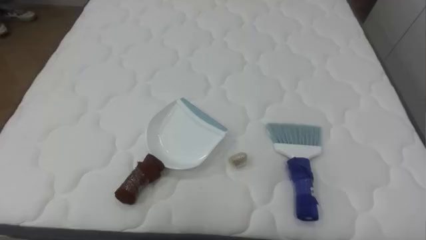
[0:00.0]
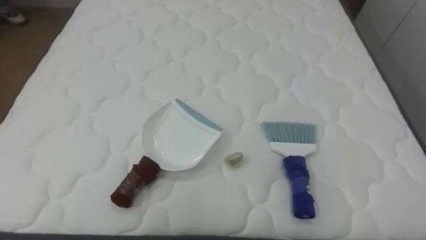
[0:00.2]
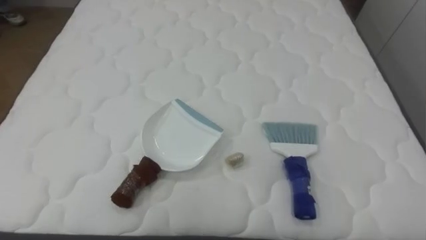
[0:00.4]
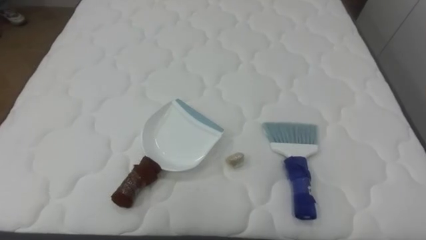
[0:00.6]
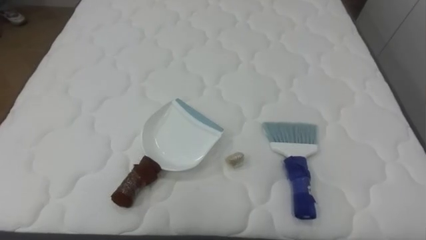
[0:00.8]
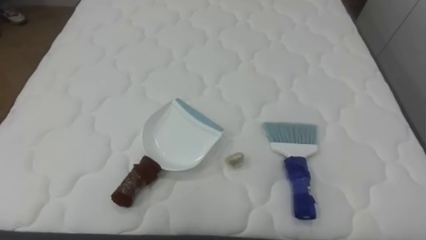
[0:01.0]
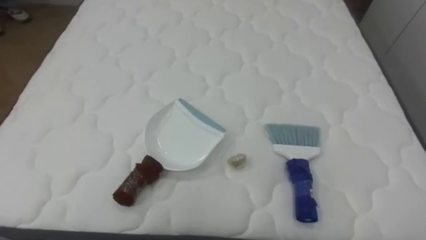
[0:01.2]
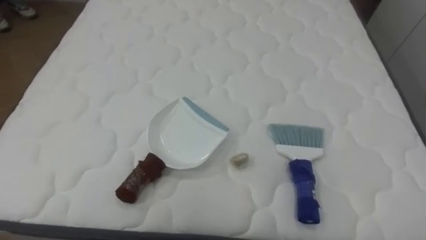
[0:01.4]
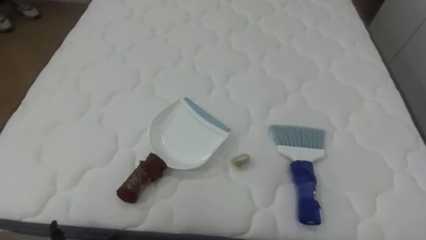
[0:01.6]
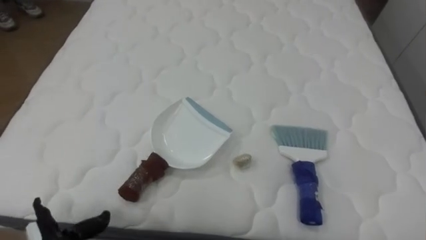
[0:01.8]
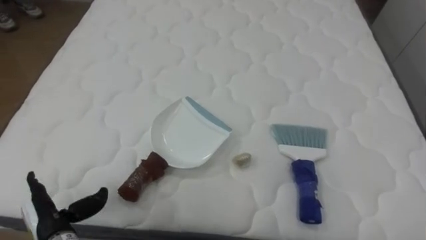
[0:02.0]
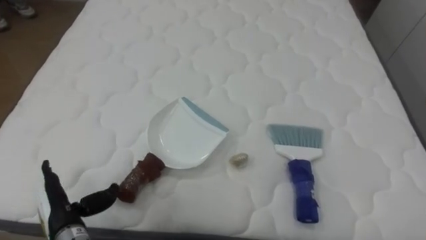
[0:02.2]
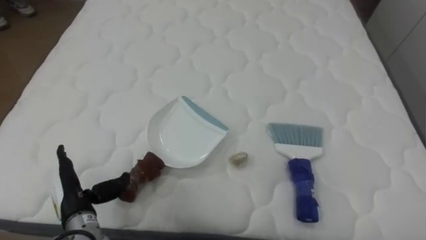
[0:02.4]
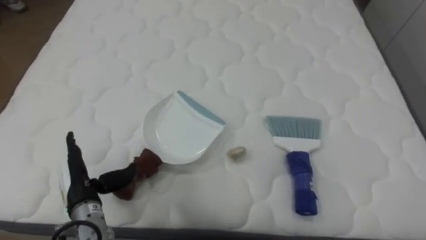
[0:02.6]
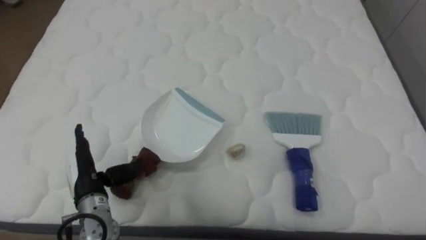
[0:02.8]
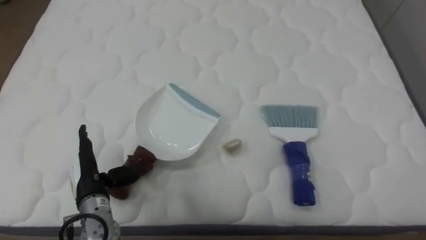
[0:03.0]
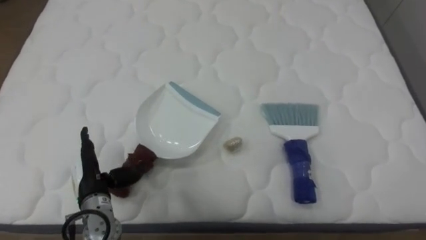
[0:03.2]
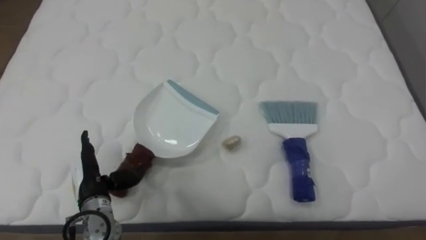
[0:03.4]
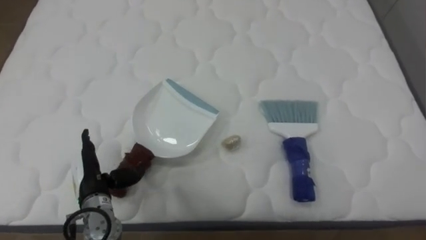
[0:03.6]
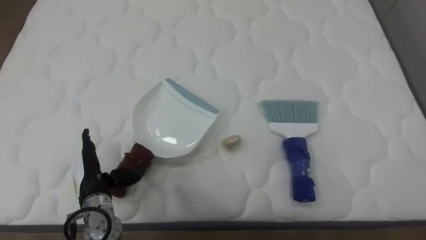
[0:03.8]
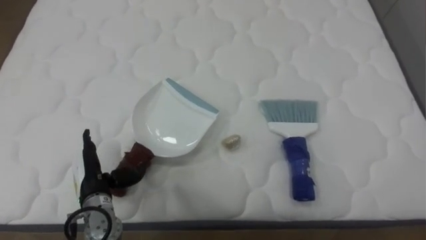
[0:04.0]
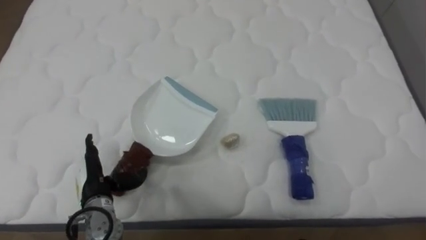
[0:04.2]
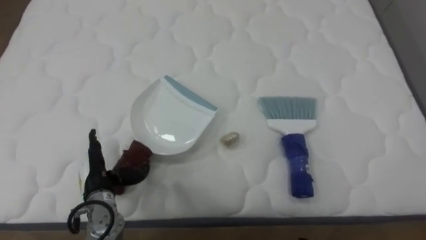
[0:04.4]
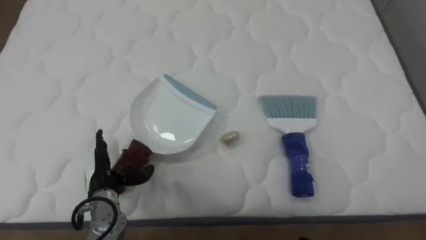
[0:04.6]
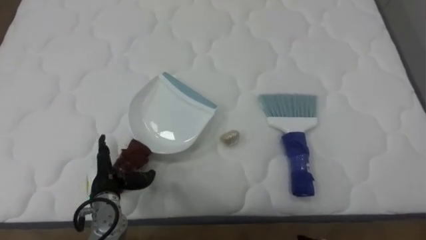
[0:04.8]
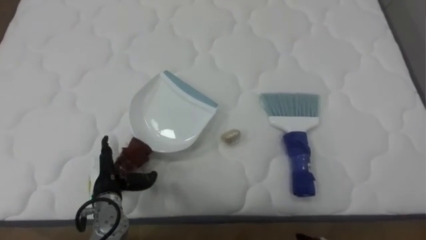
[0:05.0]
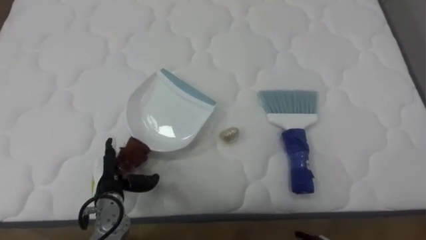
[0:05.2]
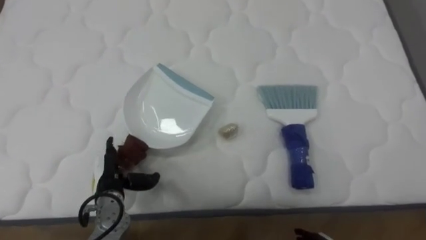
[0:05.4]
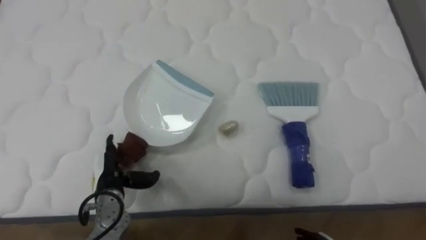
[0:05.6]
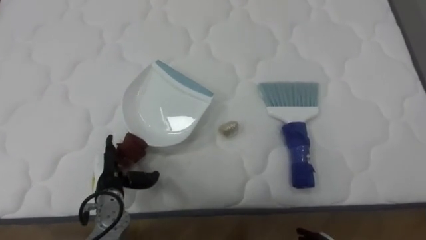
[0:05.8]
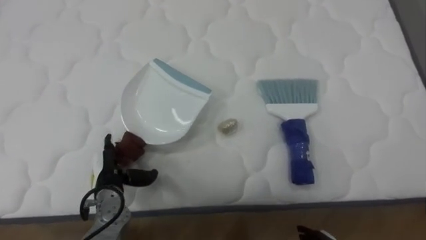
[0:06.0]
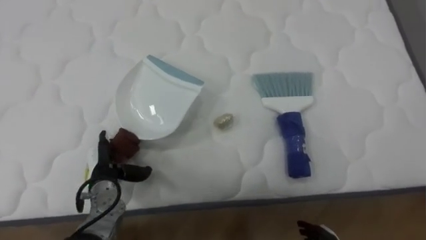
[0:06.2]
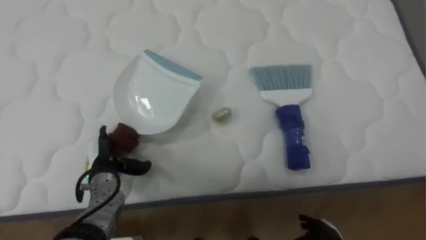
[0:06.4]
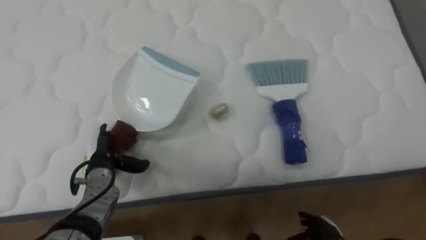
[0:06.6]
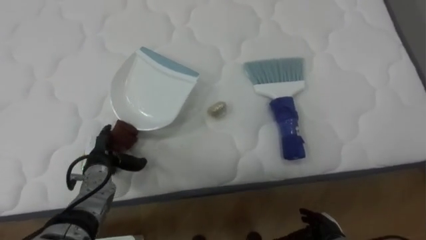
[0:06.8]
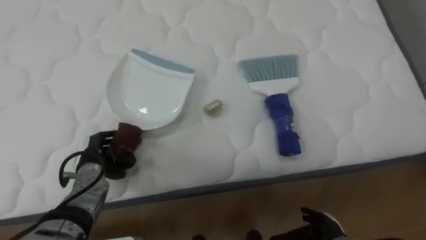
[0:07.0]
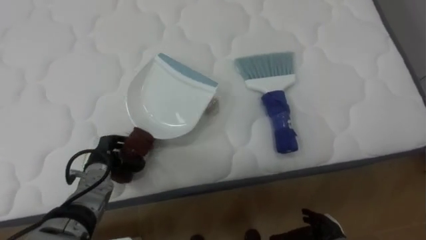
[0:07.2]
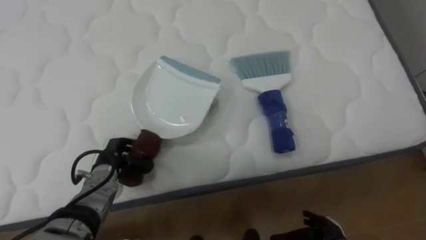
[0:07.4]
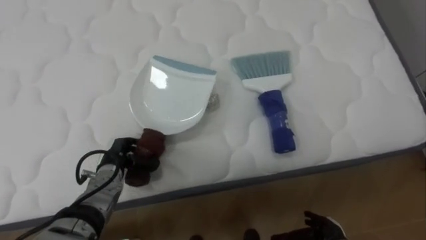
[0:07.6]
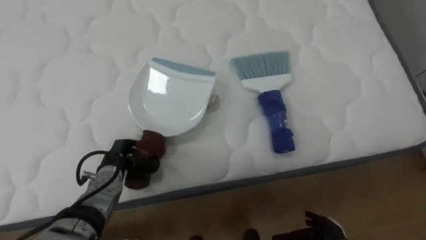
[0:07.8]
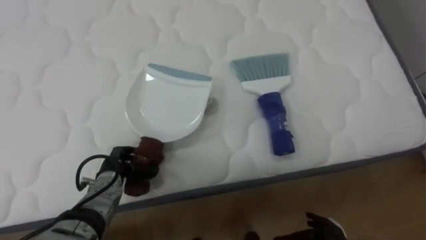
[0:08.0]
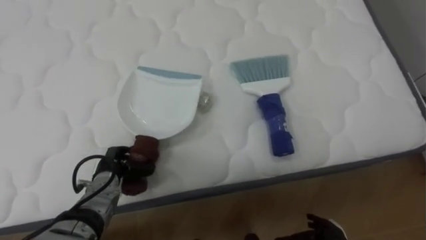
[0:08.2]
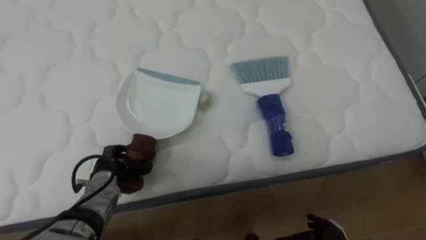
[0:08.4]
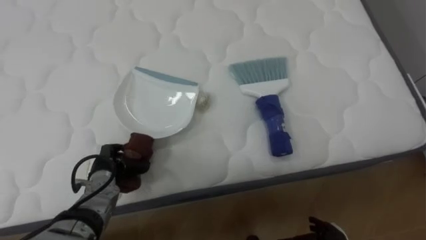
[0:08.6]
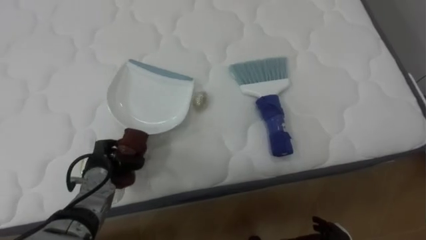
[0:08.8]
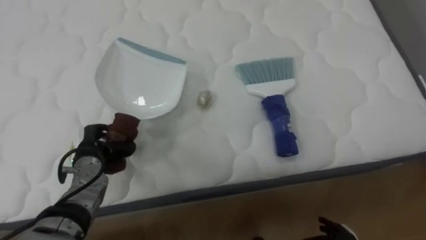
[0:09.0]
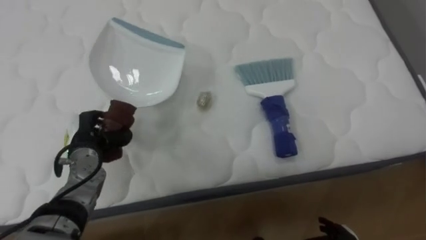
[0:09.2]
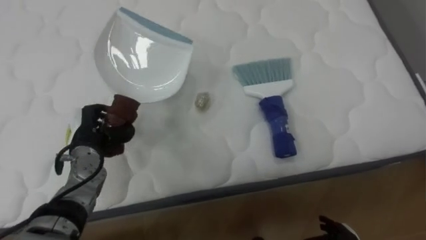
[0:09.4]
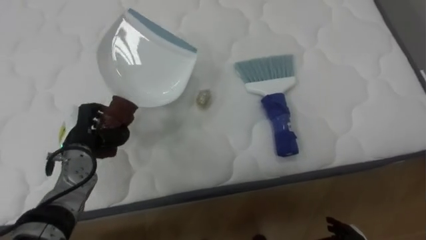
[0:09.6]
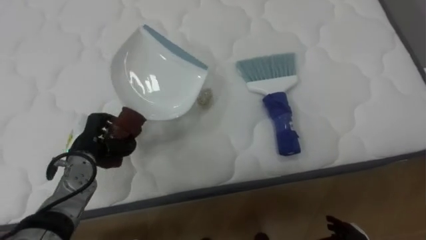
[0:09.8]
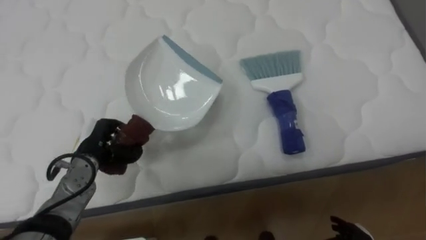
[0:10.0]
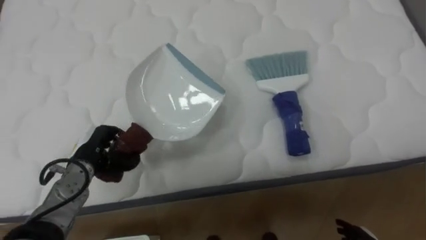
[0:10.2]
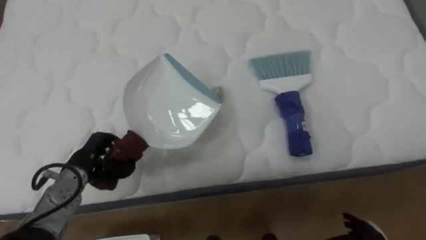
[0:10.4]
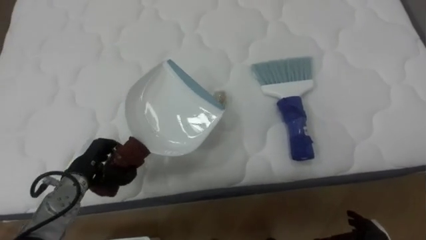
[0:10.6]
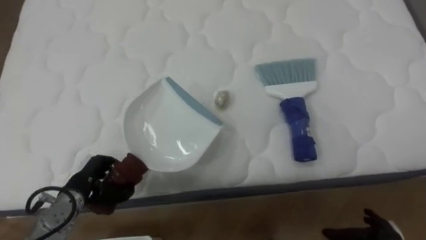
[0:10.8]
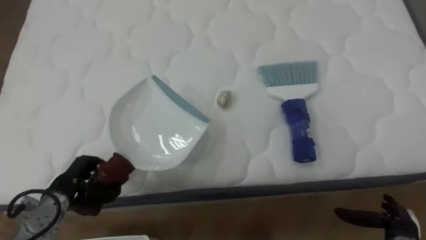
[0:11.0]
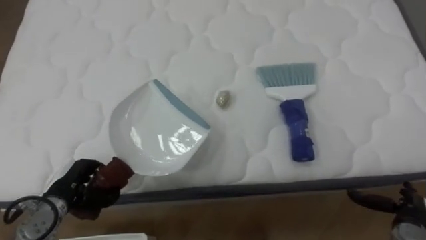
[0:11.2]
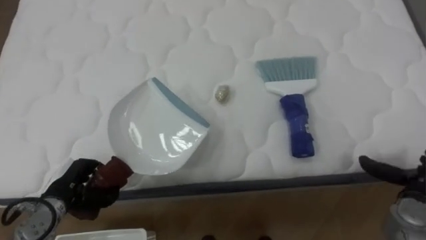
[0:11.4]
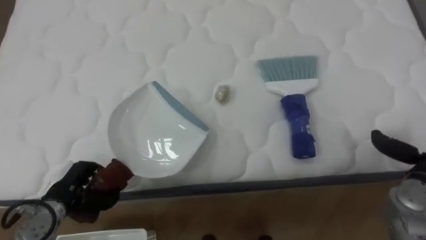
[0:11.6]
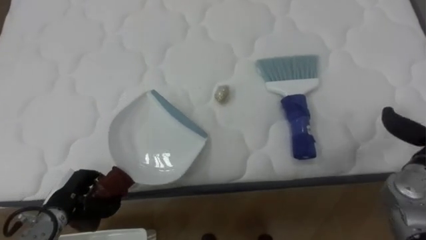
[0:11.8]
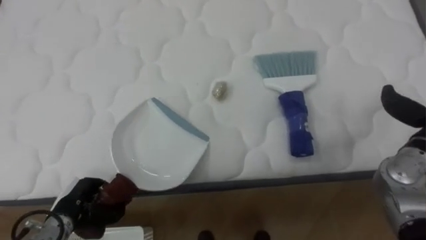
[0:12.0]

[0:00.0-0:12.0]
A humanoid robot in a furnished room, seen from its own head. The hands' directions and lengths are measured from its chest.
Task of the whole recording: Pick up the brush on your right and the dustpan on your left. Use the brush to sweep the crumpled paper on the bed into the dustpan, then turn left and empty it into the basket.
0:06.0 to 0:07.6: The left hand closes.
0:07.6 to 0:09.0: The left hand shifts by about 5 cm.
0:10.4 to 0:12.0: The left hand is displaced backward by roughly 10 cm.

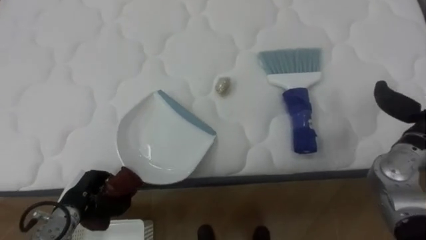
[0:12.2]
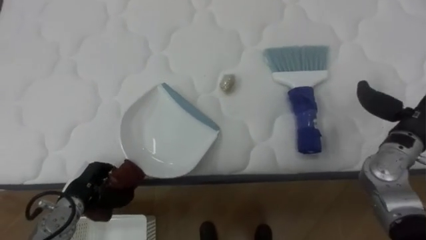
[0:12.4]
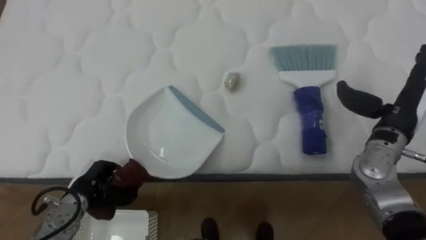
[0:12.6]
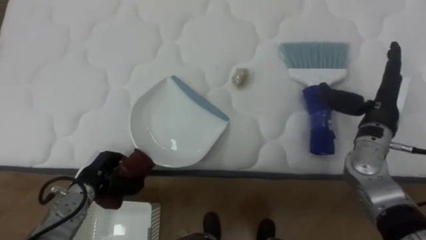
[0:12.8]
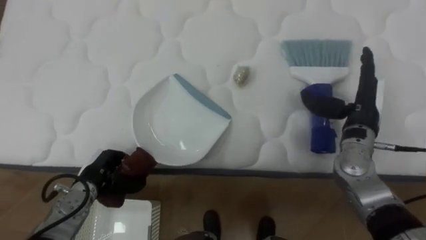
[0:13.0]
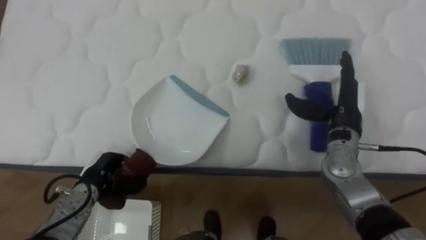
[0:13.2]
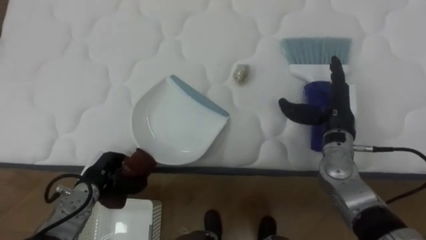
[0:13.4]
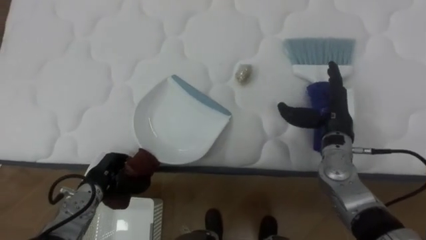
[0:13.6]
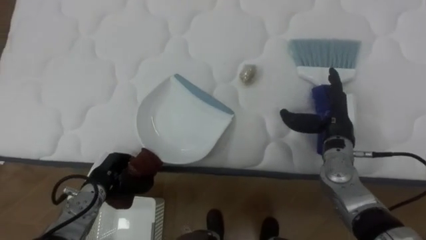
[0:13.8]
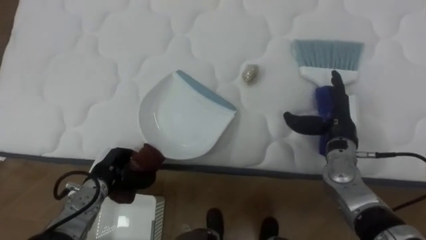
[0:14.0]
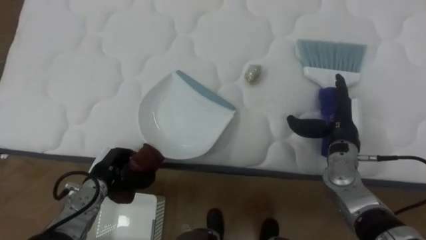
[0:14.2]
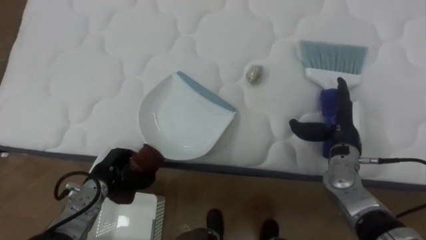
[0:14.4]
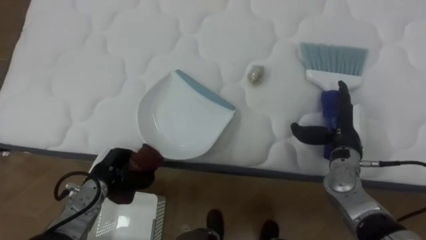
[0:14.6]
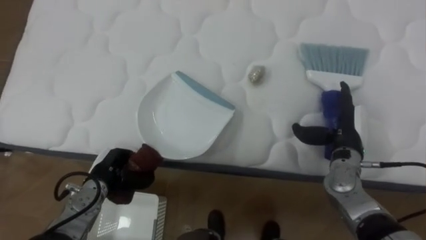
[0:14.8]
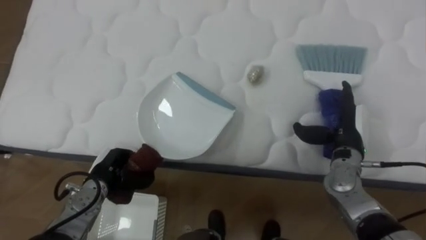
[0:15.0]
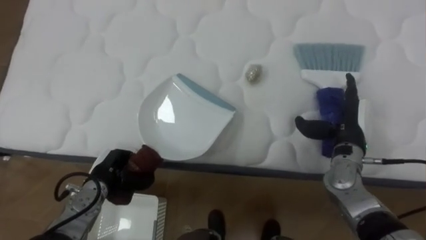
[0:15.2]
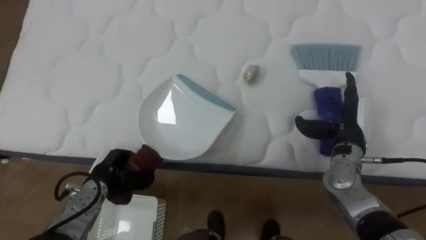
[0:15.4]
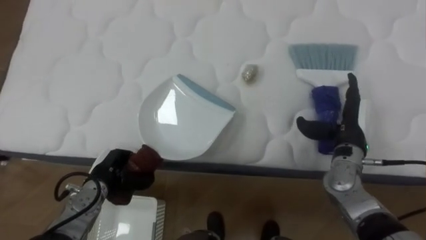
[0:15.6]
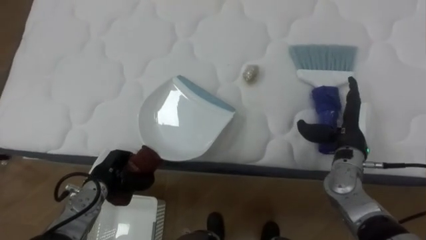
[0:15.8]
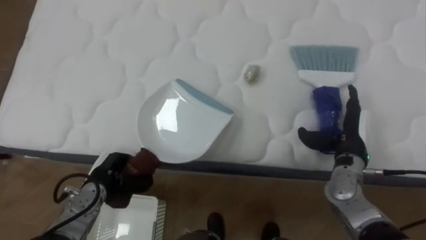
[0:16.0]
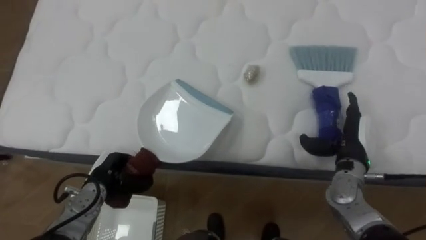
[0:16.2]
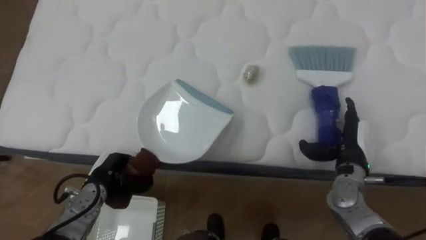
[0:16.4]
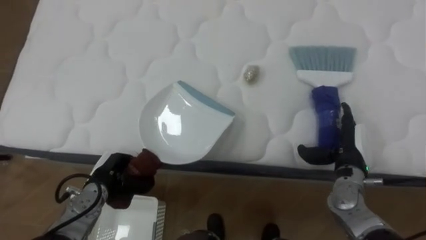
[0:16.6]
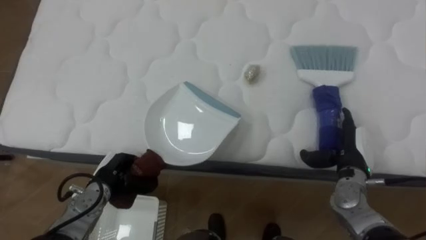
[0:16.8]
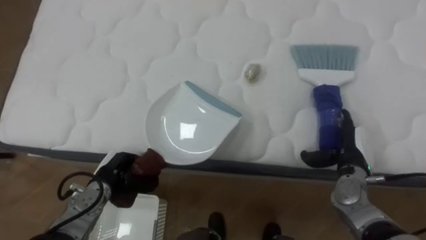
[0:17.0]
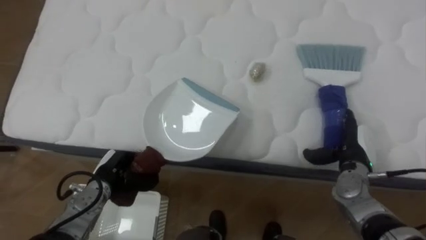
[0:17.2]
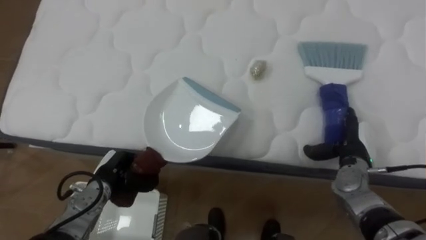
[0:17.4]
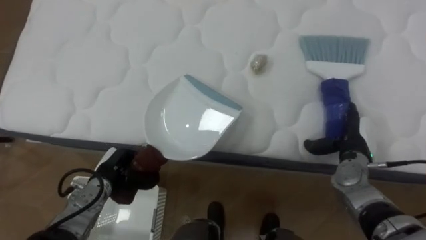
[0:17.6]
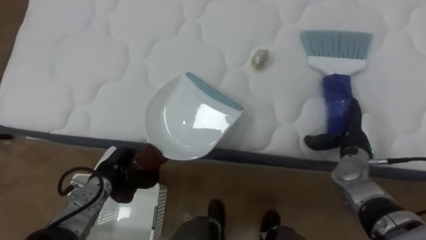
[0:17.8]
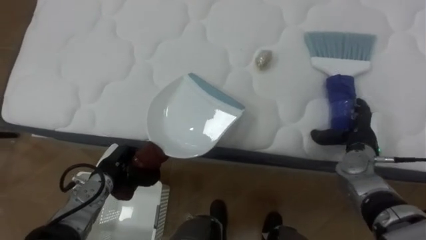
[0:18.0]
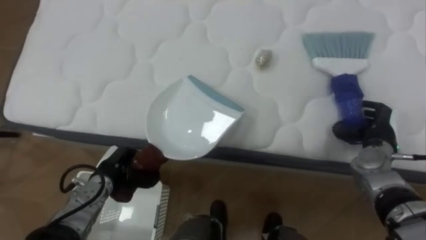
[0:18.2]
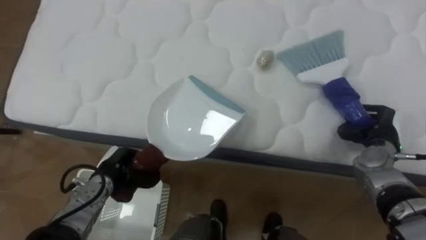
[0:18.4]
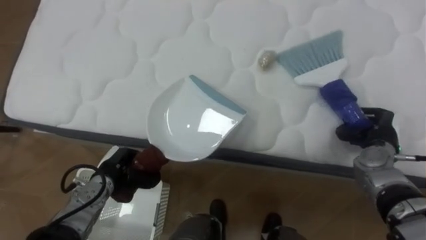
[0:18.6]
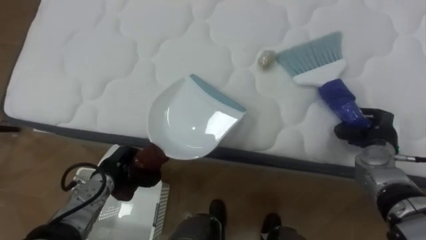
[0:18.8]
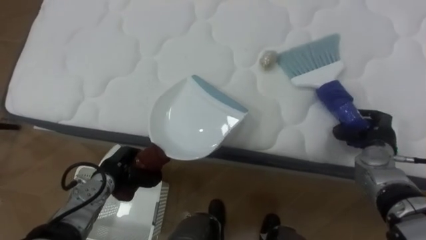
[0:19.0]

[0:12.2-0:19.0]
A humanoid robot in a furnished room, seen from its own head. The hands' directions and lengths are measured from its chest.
Task of the whole recording: Pick up the brush on your right and the dustpan on your left. Use the brush to sweep the crumpled paper on the bed into the dustpan, then turn left and empty it into the basket.
0:12.2 to 0:13.6: The left hand shifts by approximately 5 cm.
0:15.0 to 0:16.2: There are only small adjustments of the hands.
0:17.6 to 0:19.0: The right hand closes up.
